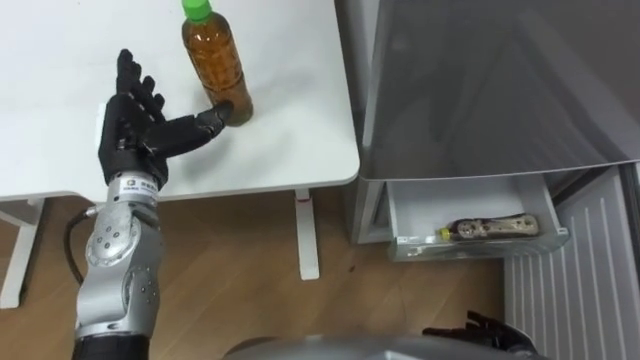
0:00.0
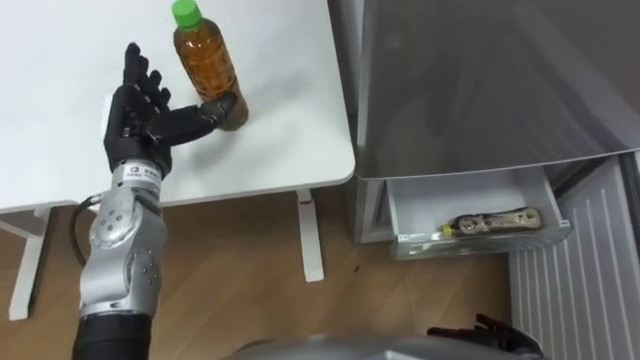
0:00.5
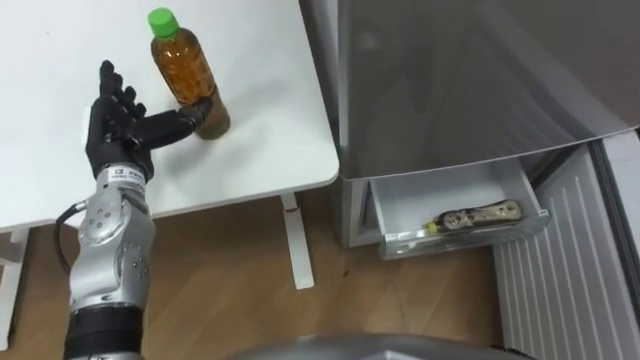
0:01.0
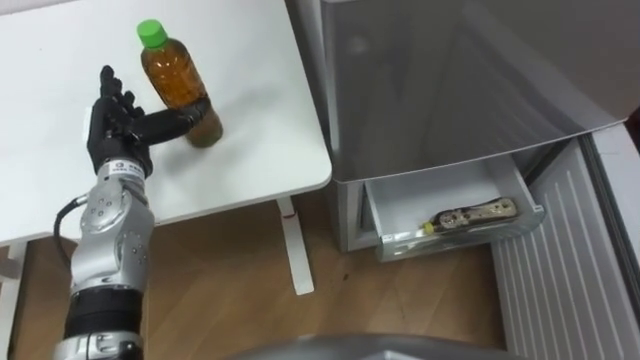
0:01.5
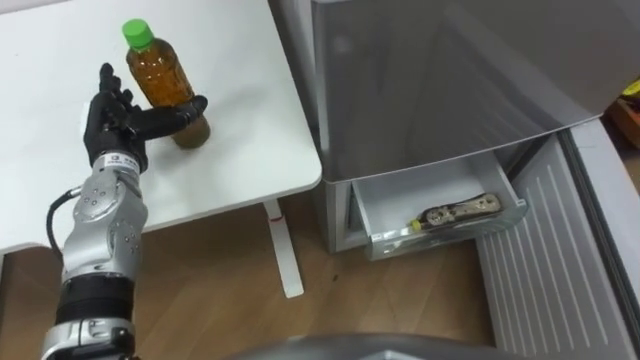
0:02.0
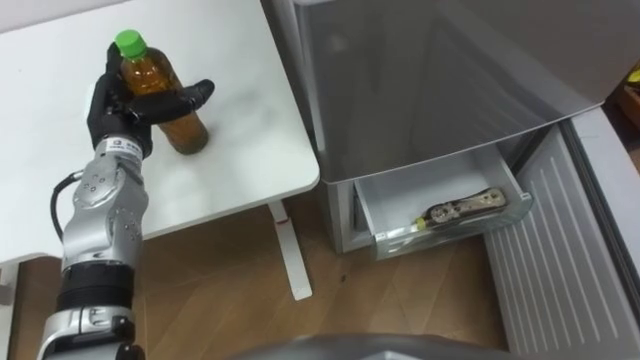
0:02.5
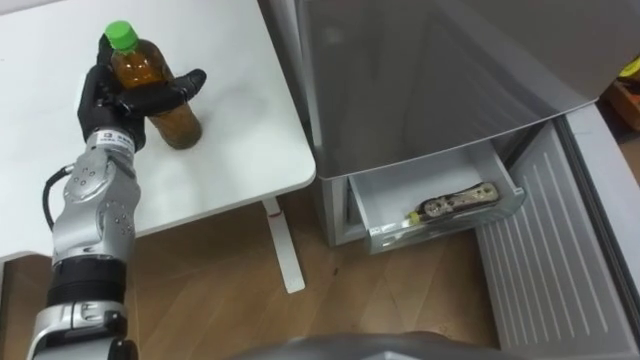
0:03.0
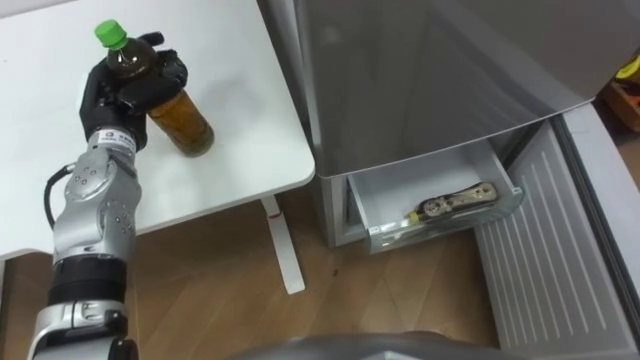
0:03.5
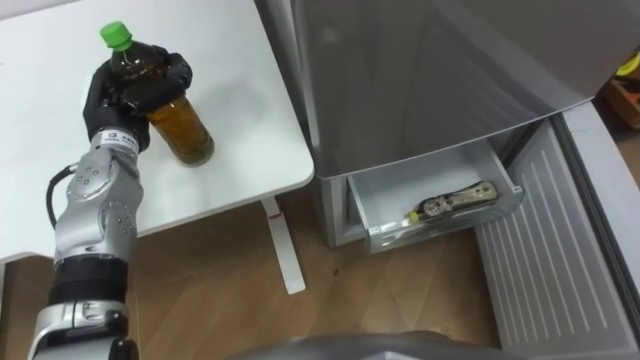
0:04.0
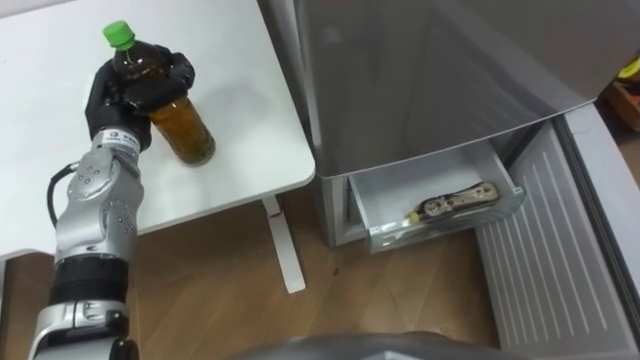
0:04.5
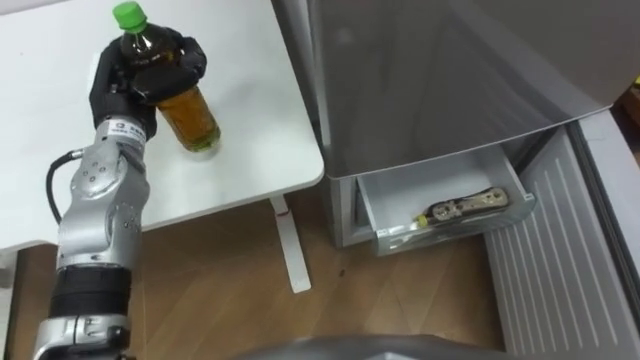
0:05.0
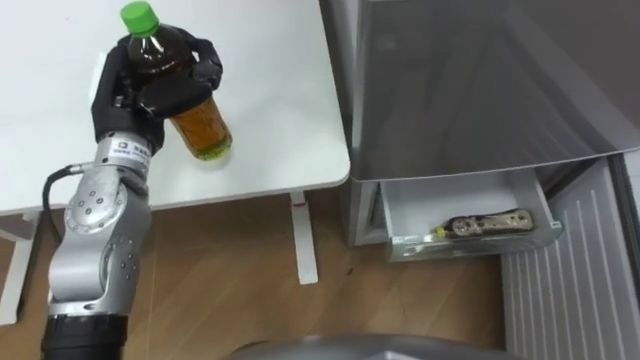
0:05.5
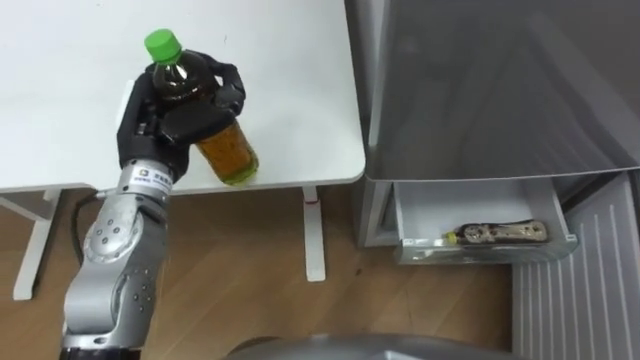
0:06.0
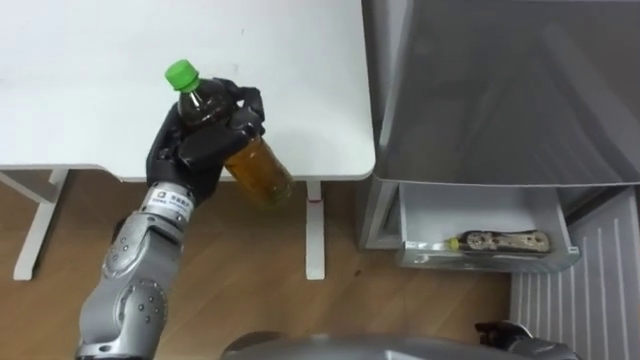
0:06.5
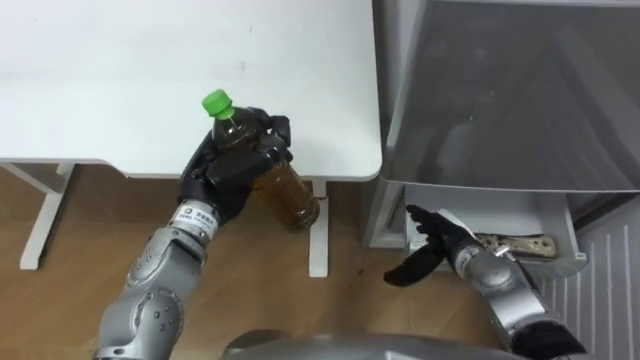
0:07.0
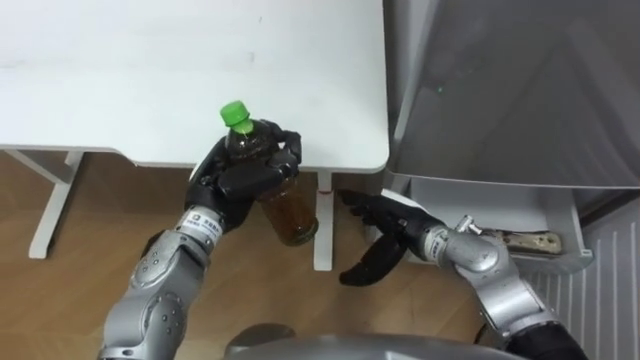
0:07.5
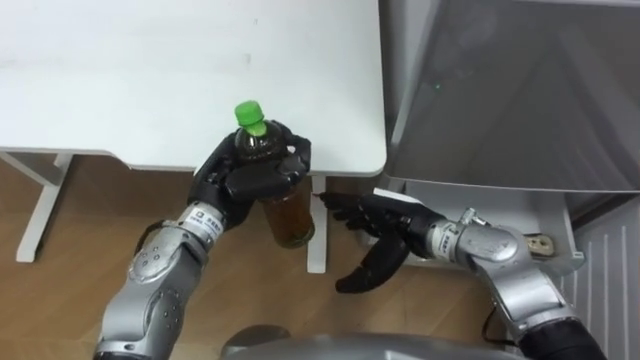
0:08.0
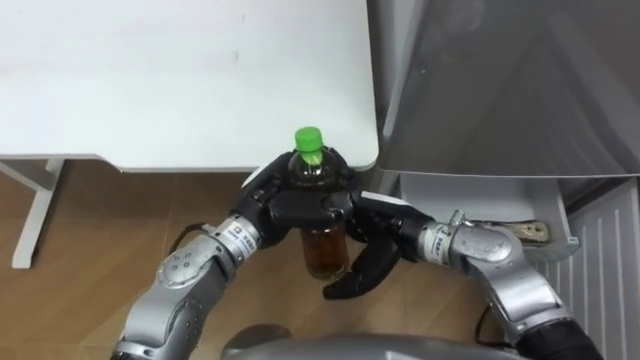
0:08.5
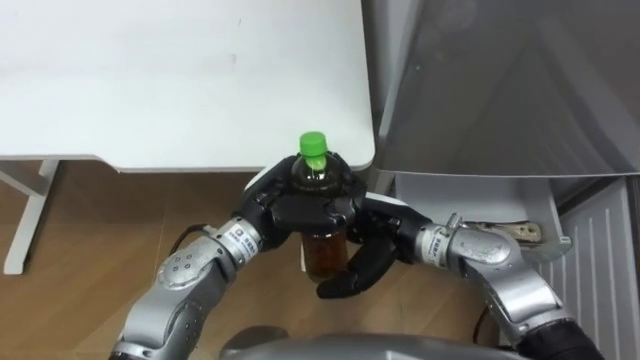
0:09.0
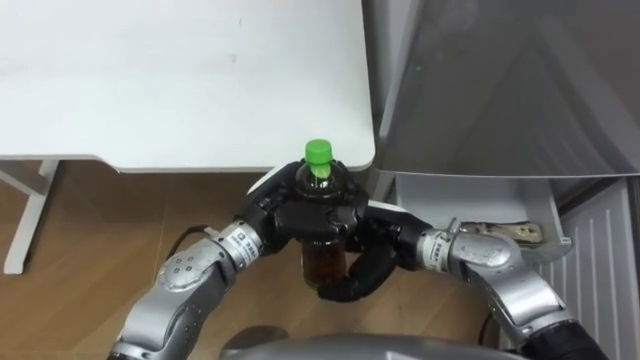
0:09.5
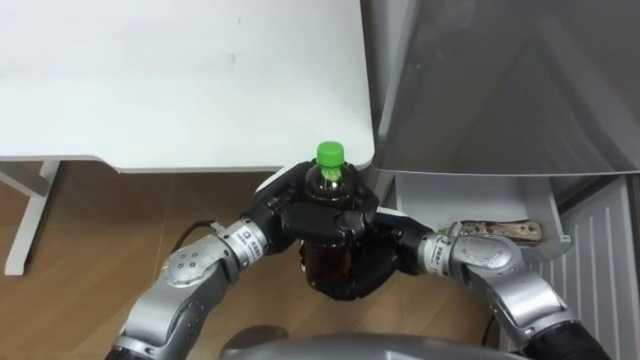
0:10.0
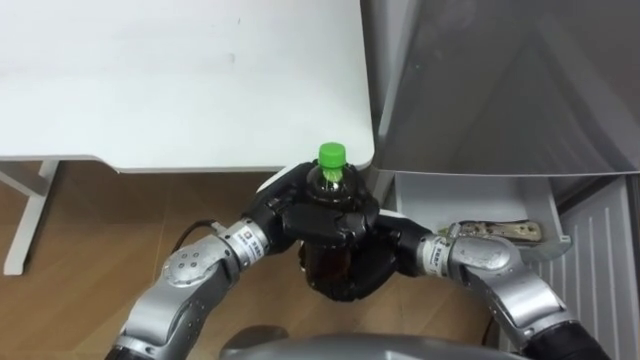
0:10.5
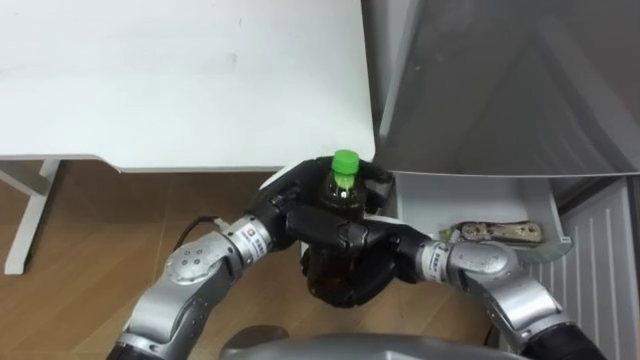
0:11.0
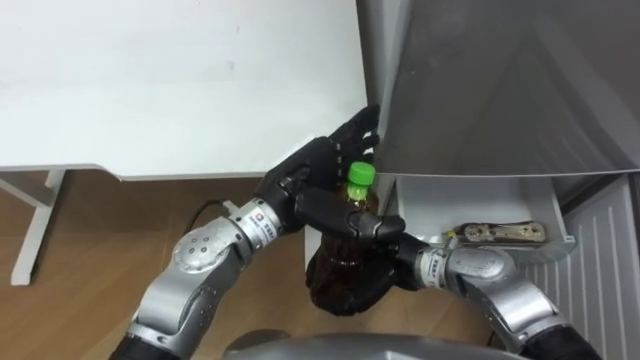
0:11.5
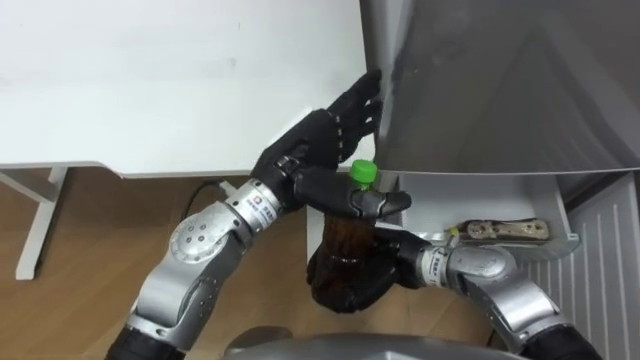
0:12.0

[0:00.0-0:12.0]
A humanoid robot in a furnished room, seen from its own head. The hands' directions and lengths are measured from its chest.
Task of the whole recording: Place the drink on the table on the bottom shelf of the refrigerator, then close the drawer and the refrigerator door.
0:00.0 to 0:02.0: The left hand moves some 5 cm.
0:02.0 to 0:04.0: The left hand closes.
0:04.0 to 0:06.0: The left hand is displaced to the right and backward by approximately 10 cm.
0:06.0 to 0:08.0: The left hand goes some 10 cm downward and to the right.
0:08.0 to 0:10.0: The right hand closes its fingers. Meanwhile the left hand is displaced to the right by about 10 cm.
0:10.0 to 0:12.0: The left hand shifts some 5 cm upward, and opens its fingers.

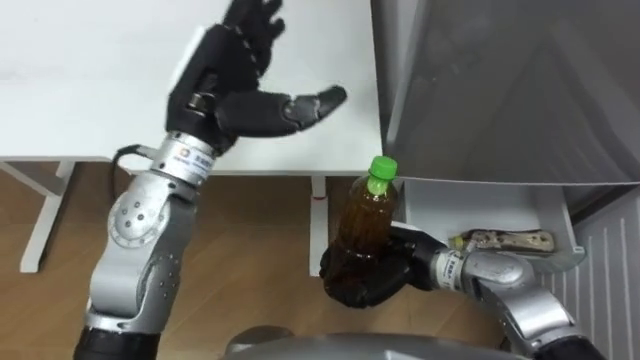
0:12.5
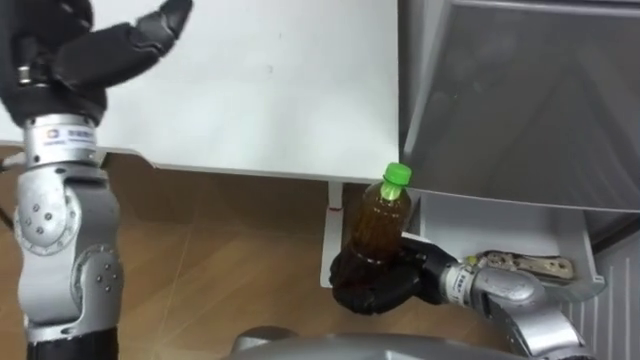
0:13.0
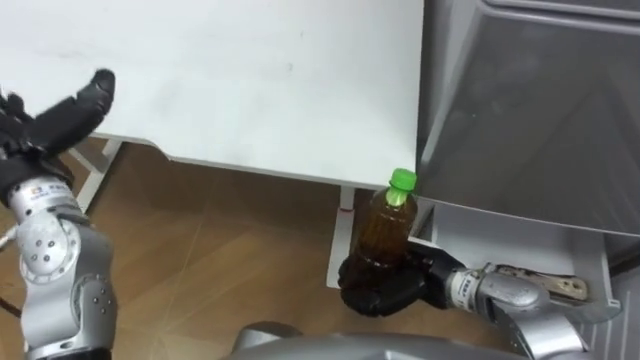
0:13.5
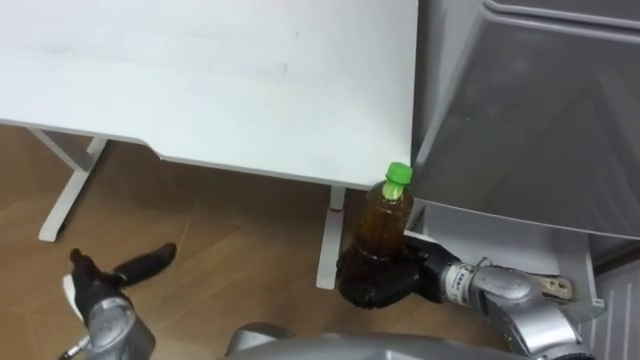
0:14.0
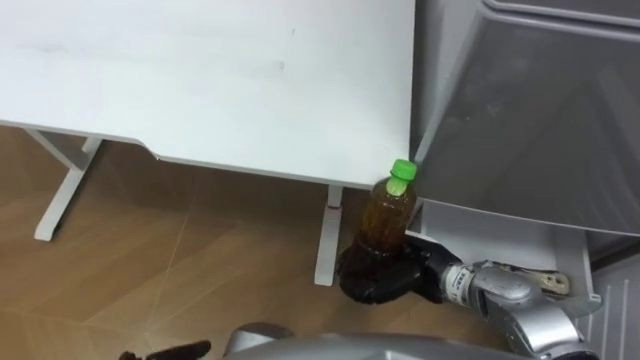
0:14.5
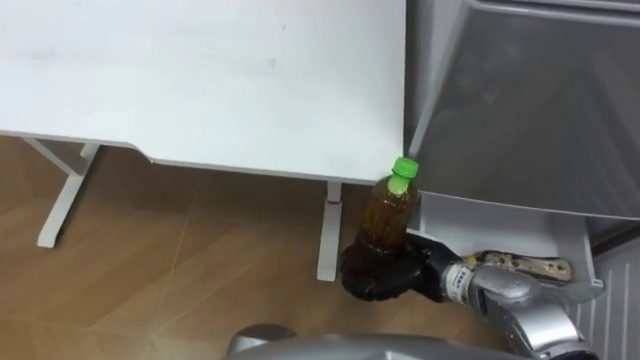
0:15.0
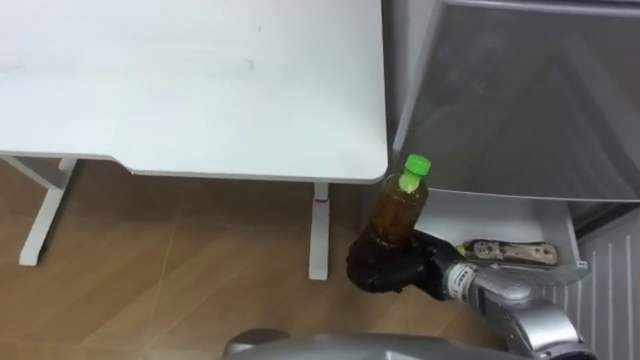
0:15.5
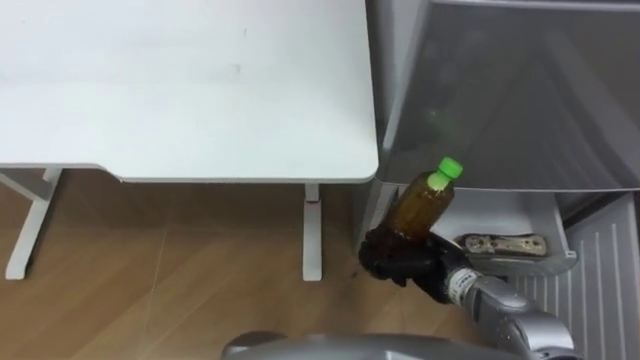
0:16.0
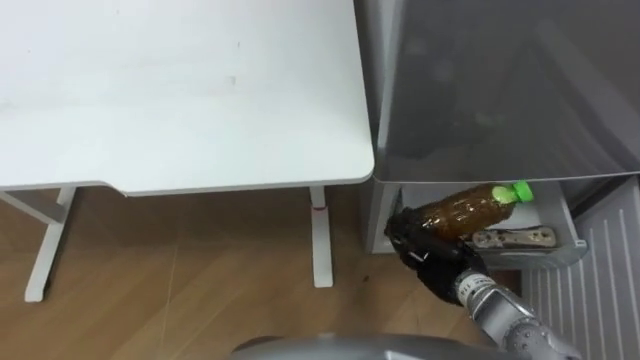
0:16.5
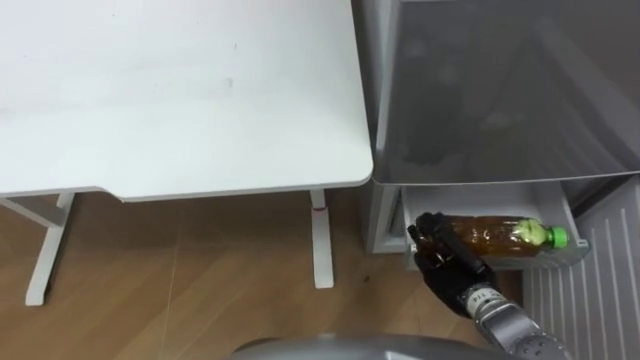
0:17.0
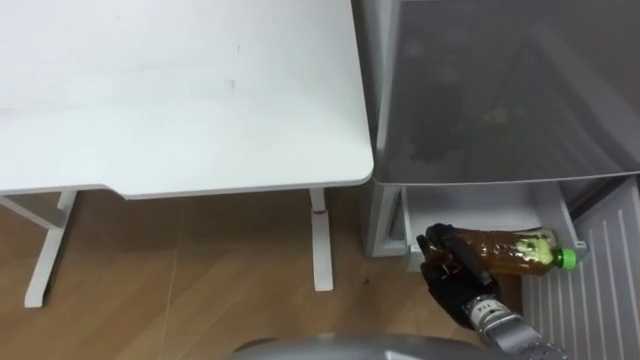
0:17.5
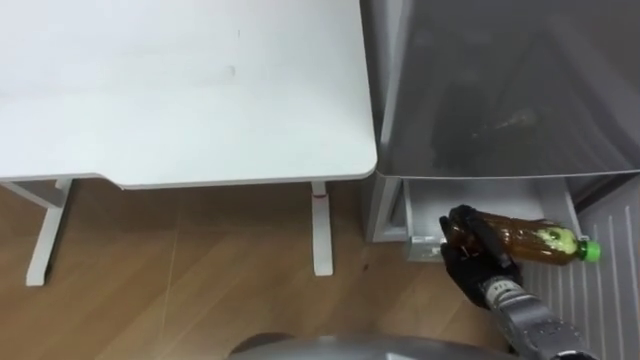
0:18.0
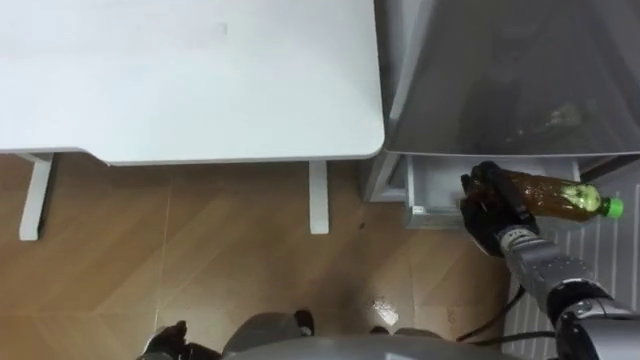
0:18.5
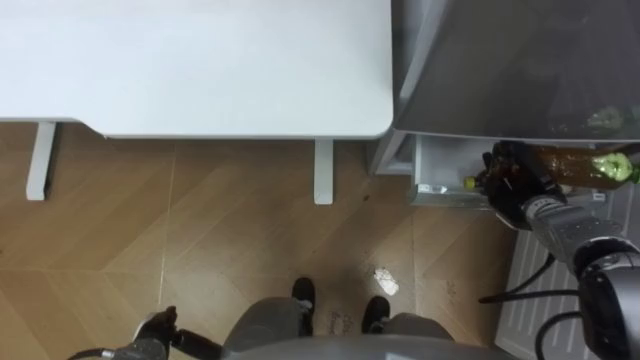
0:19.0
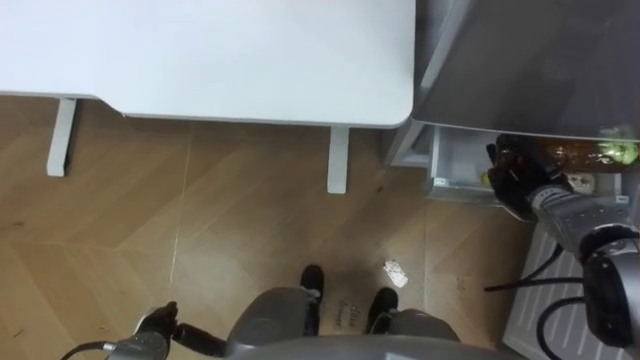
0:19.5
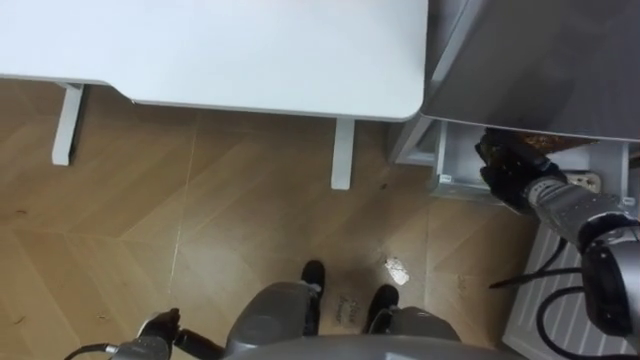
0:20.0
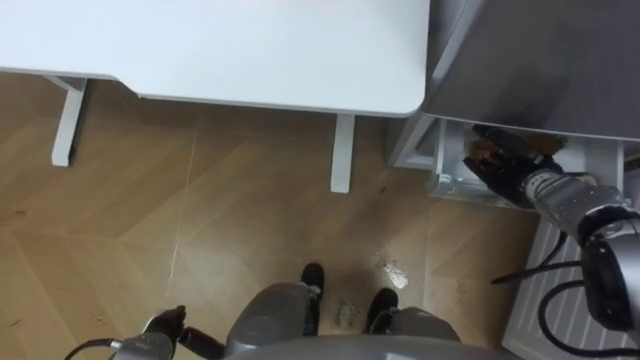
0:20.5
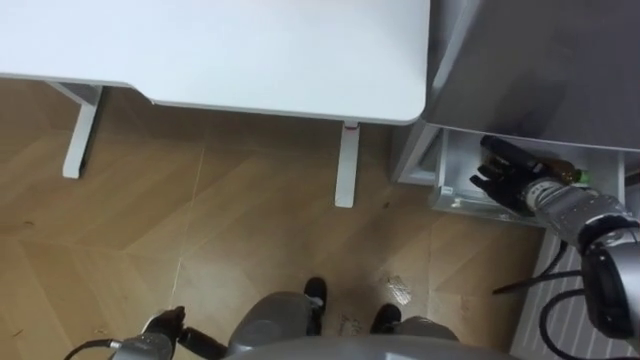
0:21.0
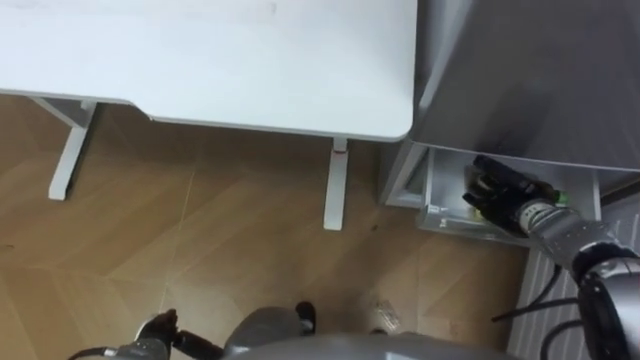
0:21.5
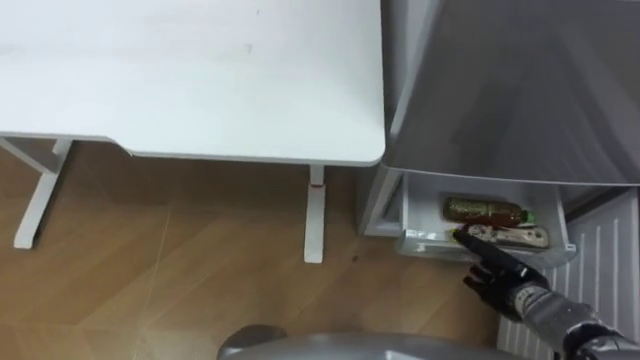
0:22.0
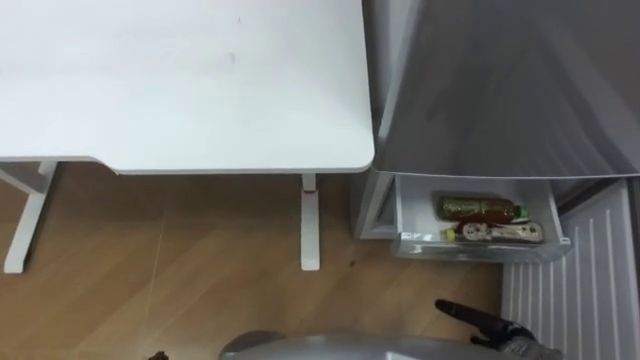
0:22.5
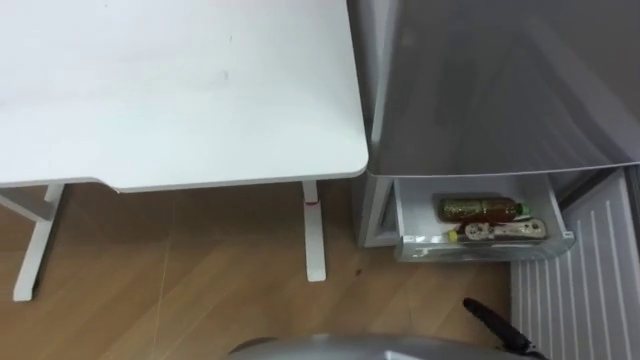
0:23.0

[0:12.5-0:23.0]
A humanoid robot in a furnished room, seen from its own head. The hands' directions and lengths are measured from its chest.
Task of the whole recording: Place the drink on the table on the bottom shelf of the refrigerator, then close the drawer and the refrigerator door.
0:14.5 to 0:16.5: The right hand shifts approximately 5 cm to the right.
0:16.5 to 0:19.0: The right hand goes approximately 15 cm to the right and forward.
0:19.0 to 0:21.0: The right hand opens.
